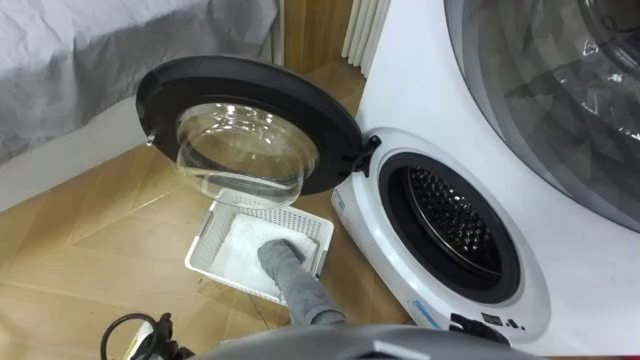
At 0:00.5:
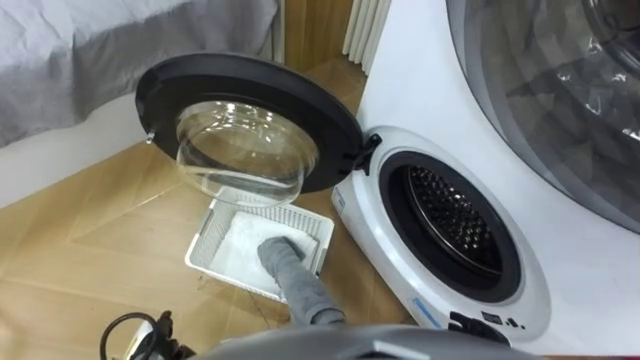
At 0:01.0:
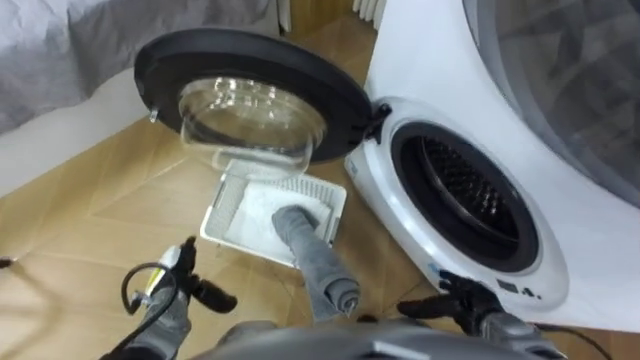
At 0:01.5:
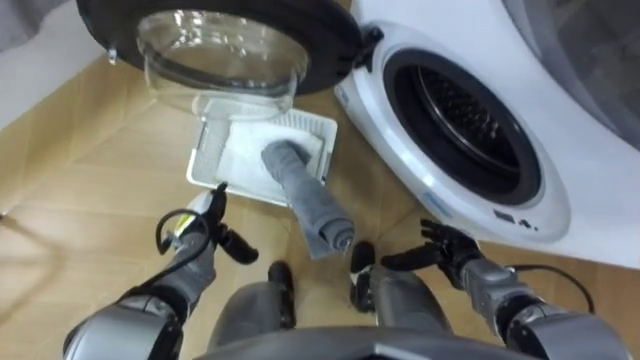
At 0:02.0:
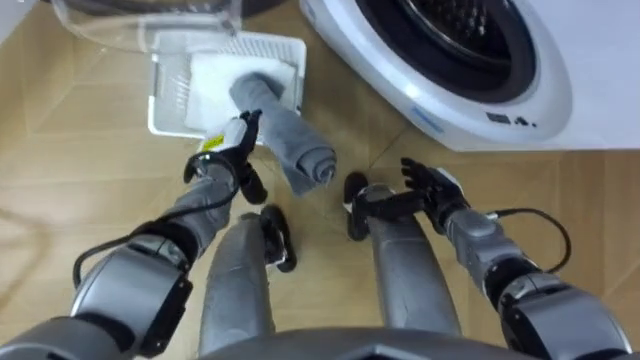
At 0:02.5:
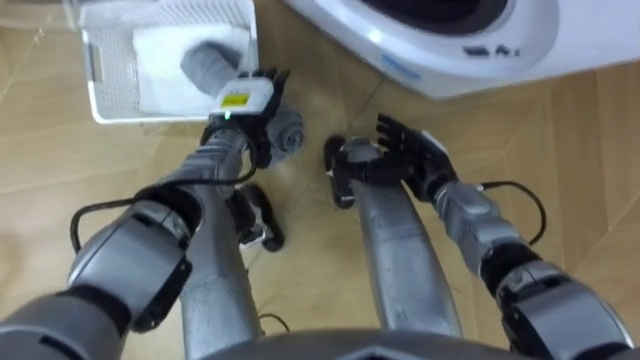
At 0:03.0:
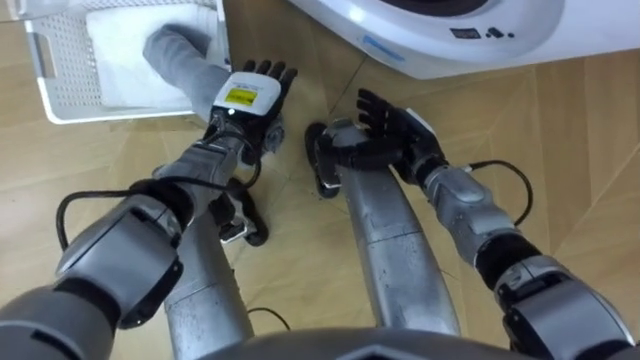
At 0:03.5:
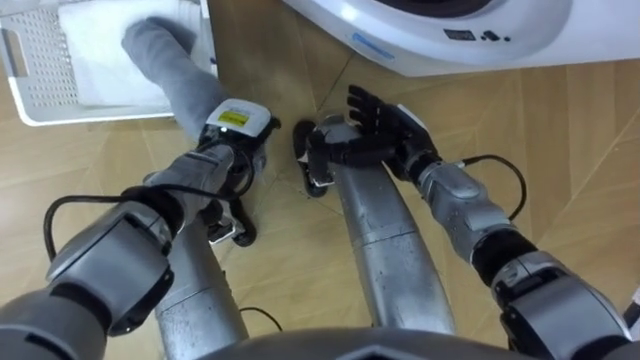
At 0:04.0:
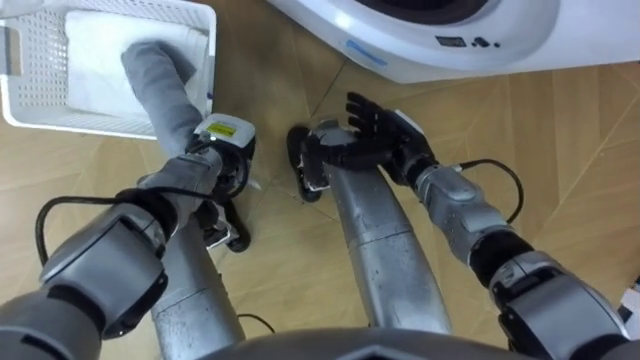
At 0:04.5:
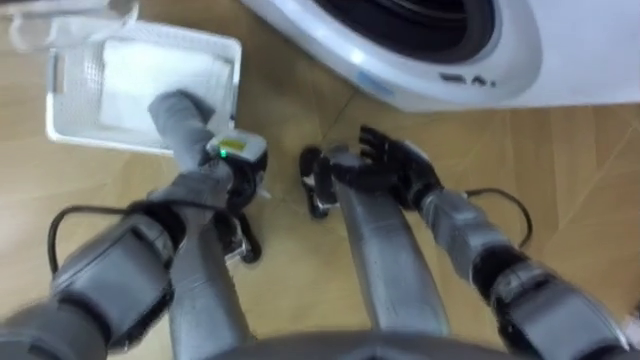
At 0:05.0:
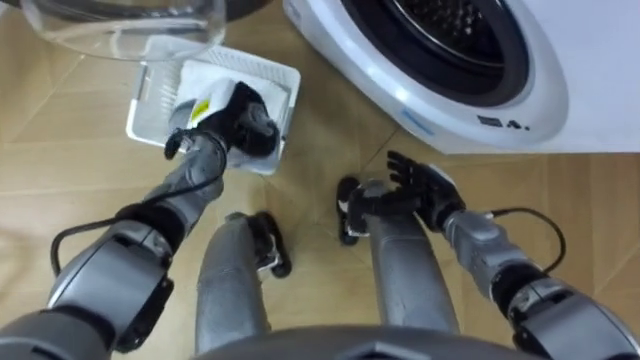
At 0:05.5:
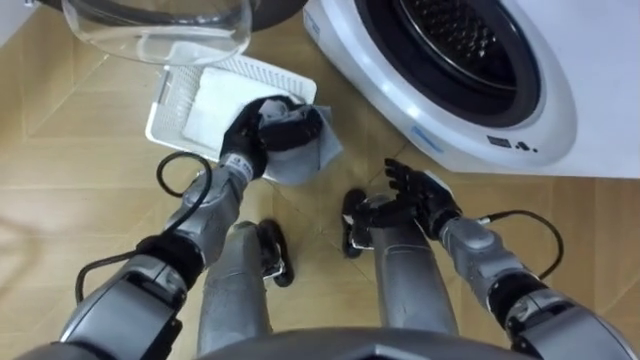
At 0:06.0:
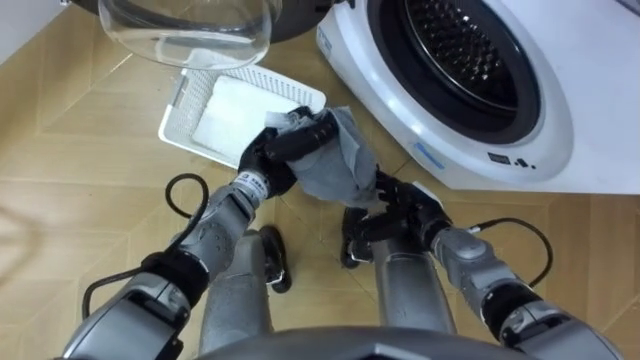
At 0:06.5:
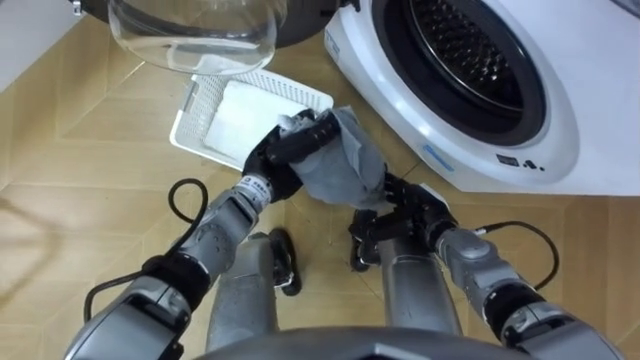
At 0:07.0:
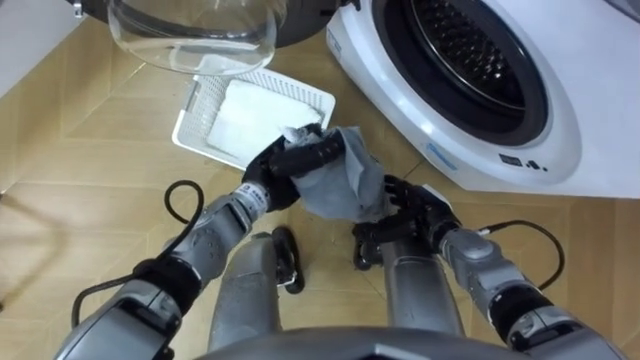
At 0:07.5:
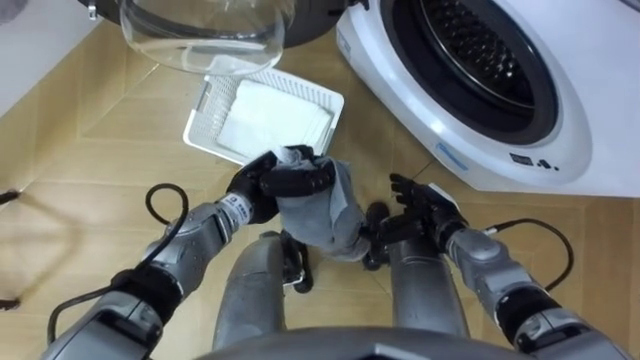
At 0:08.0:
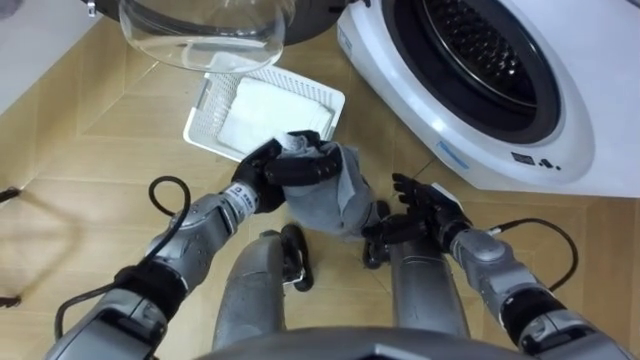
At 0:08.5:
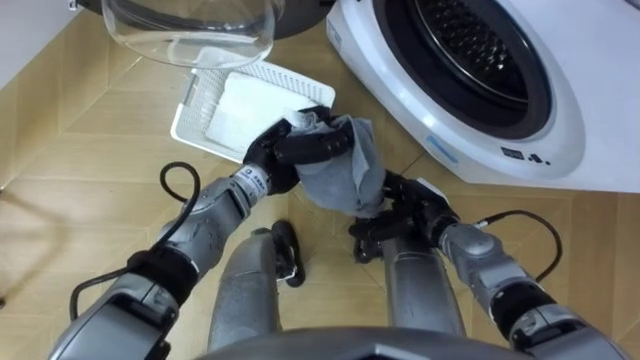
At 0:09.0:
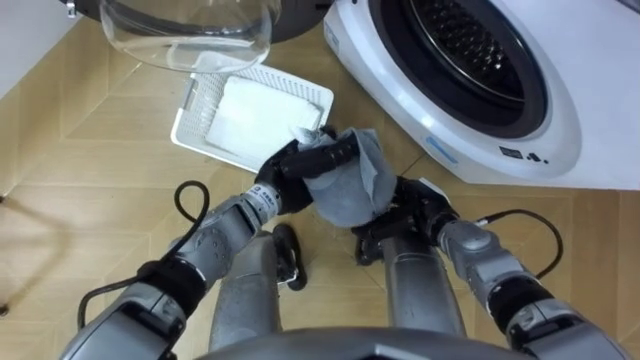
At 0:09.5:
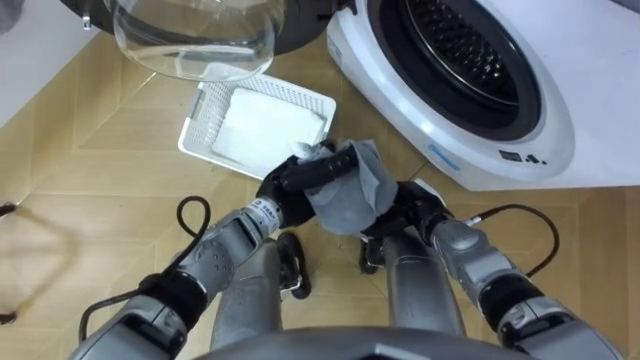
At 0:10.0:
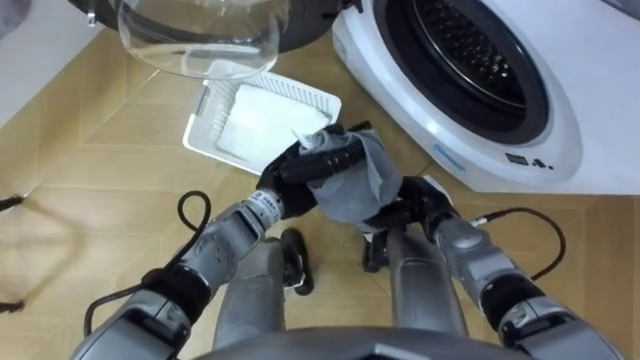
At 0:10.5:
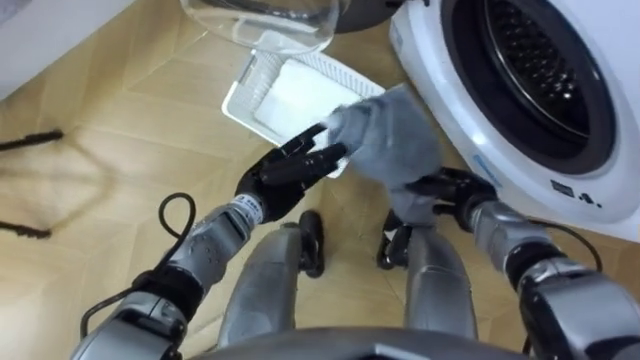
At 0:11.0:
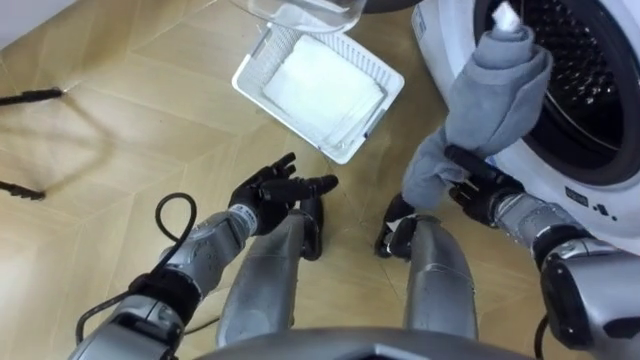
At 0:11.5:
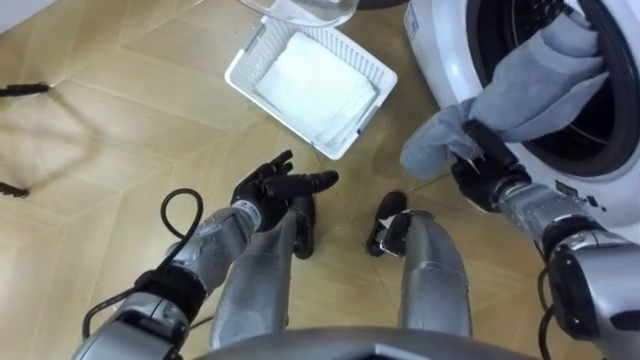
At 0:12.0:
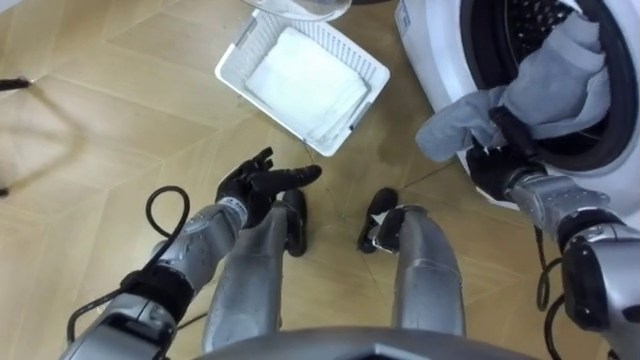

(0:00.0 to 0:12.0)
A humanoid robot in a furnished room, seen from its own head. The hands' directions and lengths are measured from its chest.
Task of the whole recording: Take the towel from the basket and put it into the washing machine.
0:02.0 - 0:04.0: The left hand closes its fingers. The right hand is displaced upward, to the left and forward by about 10 cm.
0:04.0 - 0:06.0: The left hand heads to the right, covering some 10 cm, while the right hand shifts about 10 cm backward and downward.
0:08.0 - 0:10.0: The right hand closes its fingers.
0:10.0 - 0:12.0: The right hand moves to the right, approximately 10 cm. Meanwhile the left hand moves to the left and downward, roughly 10 cm, and opens its fingers.

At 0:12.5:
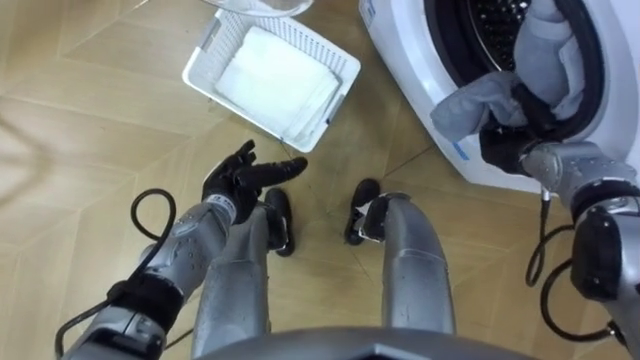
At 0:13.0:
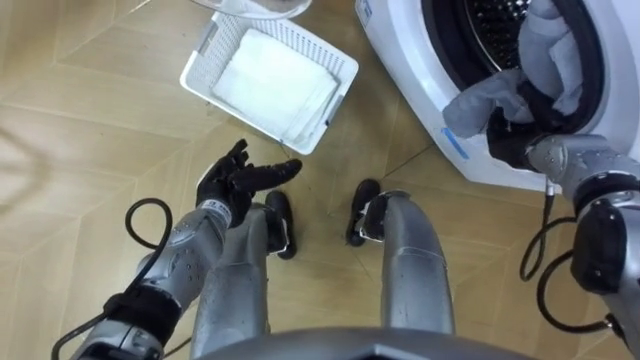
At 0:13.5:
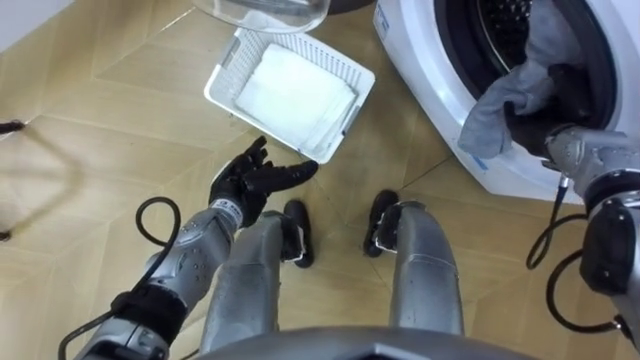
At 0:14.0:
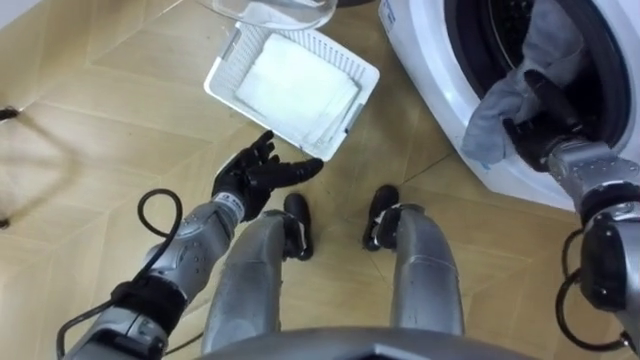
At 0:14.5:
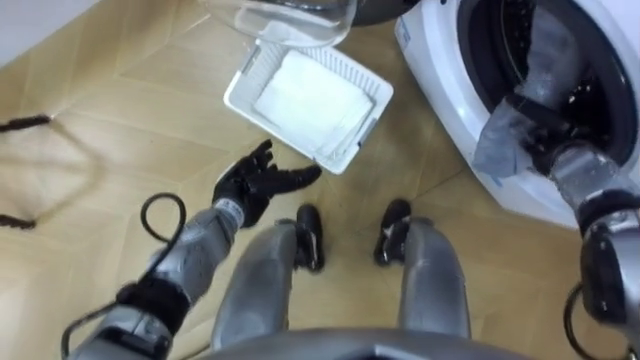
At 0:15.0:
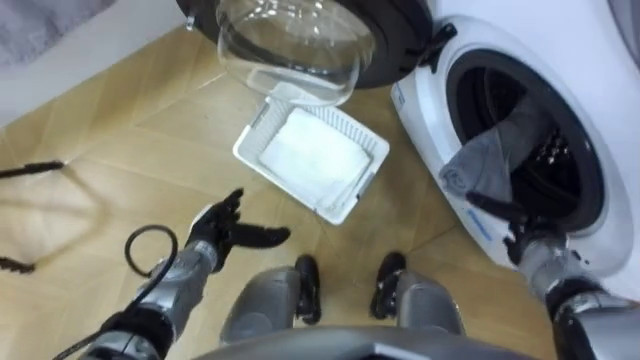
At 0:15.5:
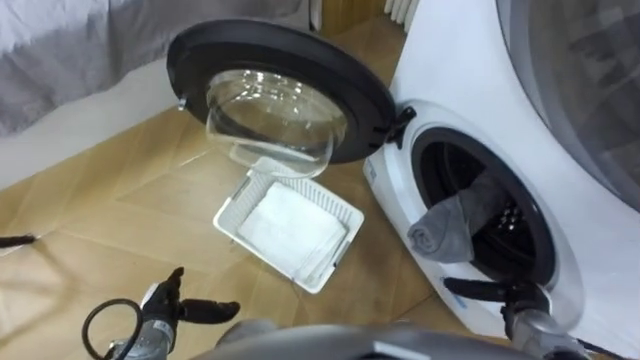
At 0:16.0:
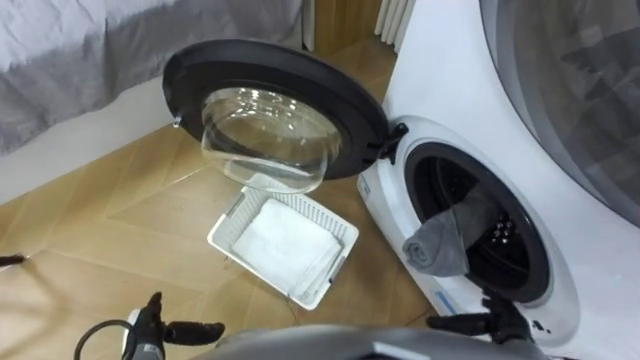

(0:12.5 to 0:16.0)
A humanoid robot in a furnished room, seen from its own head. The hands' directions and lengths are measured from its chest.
Task of the whole recording: Take the towel from the basket and put it into the washing machine.
0:12.5 - 0:14.5: The right hand heads to the right, covering some 5 cm, and opens.
0:14.5 - 0:16.0: The left hand moves backward, to the left and downward, some 25 cm. The right hand goes roughly 30 cm backward and downward.

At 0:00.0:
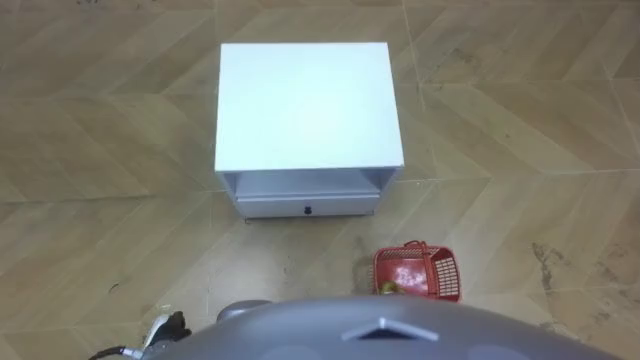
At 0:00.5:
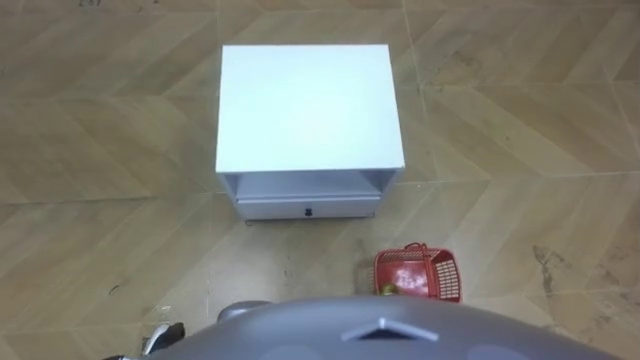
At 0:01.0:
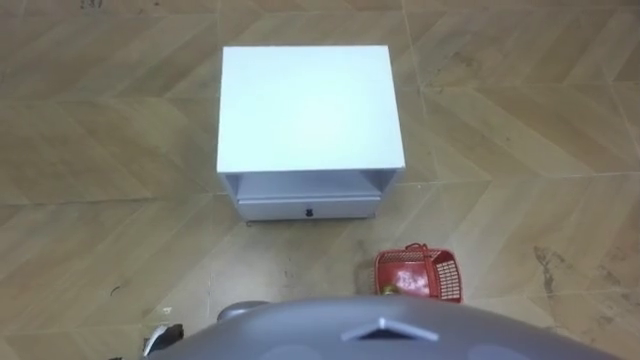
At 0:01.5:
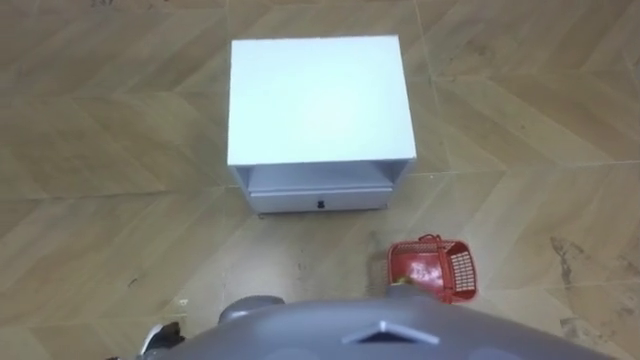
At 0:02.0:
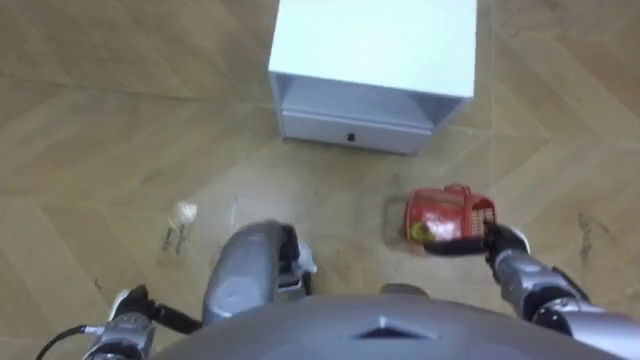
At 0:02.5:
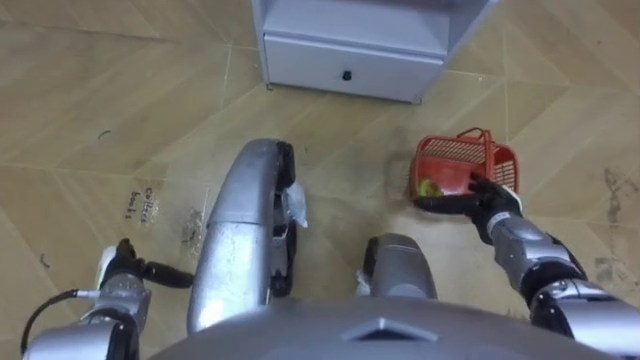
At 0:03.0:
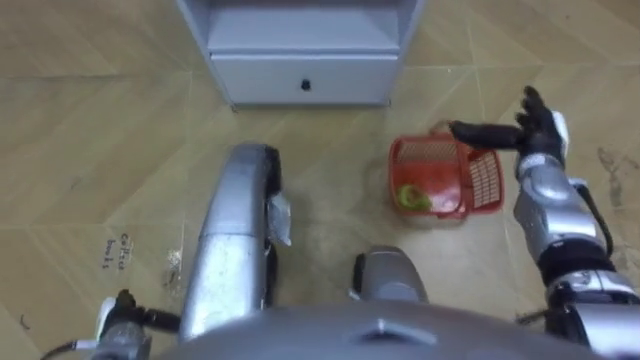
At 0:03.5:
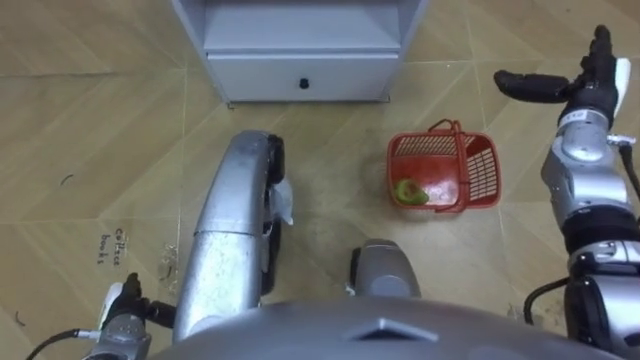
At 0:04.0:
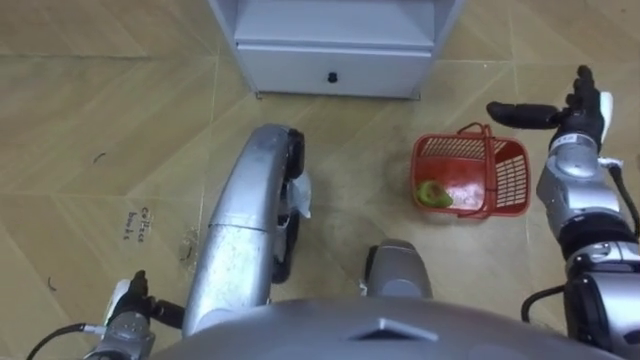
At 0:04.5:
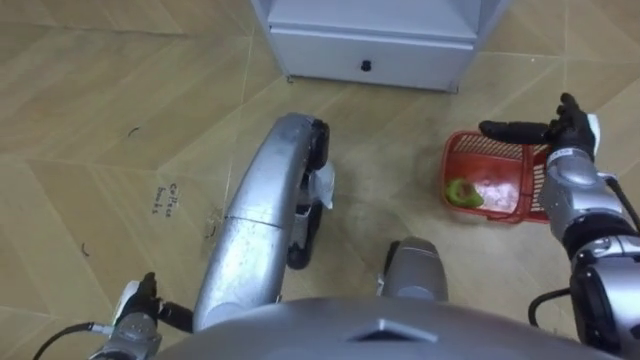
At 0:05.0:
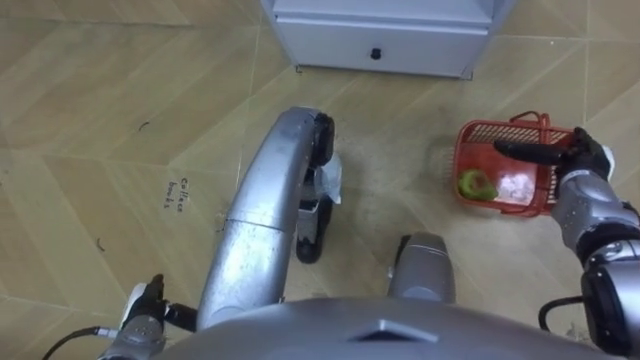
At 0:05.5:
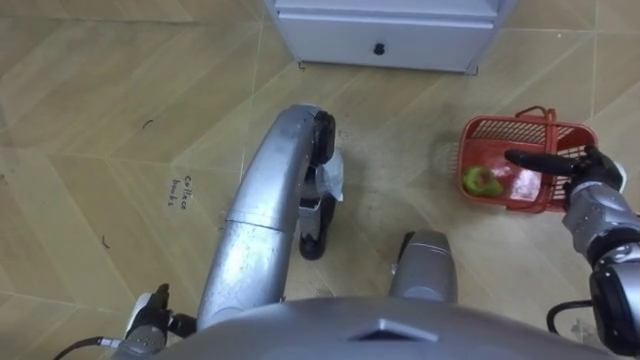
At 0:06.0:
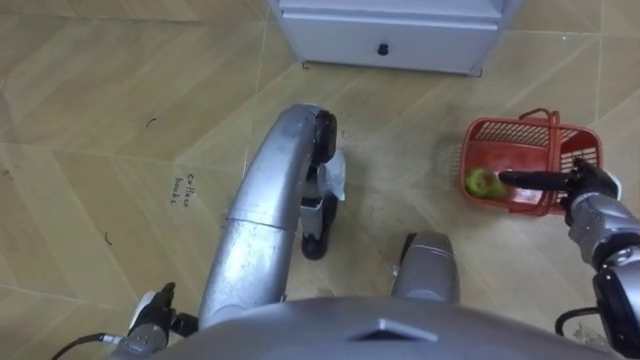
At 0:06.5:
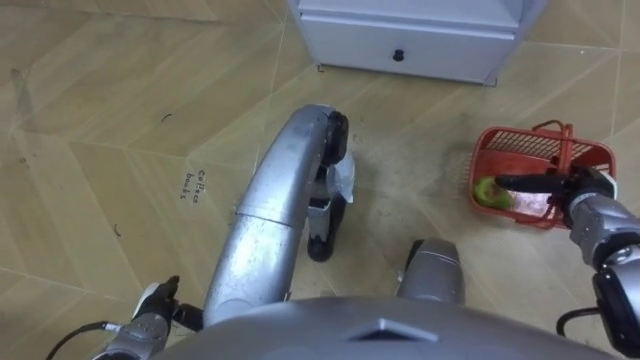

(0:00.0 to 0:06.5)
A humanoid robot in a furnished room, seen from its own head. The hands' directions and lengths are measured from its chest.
Task of the whole recording: Pick up the fruit basket from the floor and place it on the cabinet.
0:02.0 - 0:04.5: The right hand moves forward and upward, approximately 20 cm.
0:04.5 - 0:06.5: The right hand moves backward, roughly 5 cm.
